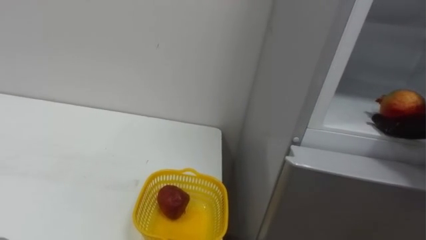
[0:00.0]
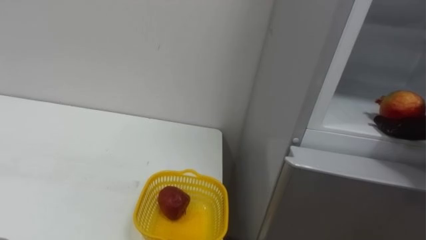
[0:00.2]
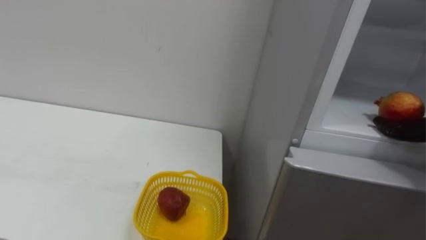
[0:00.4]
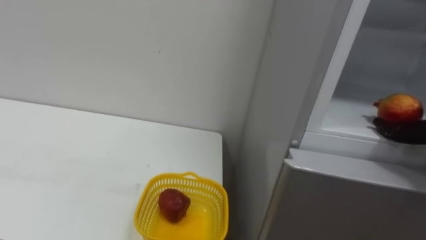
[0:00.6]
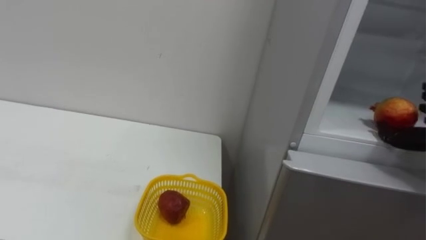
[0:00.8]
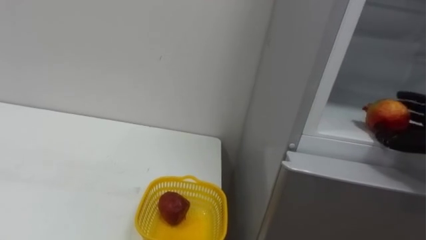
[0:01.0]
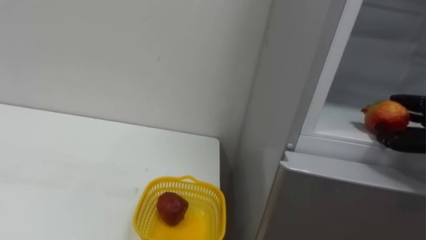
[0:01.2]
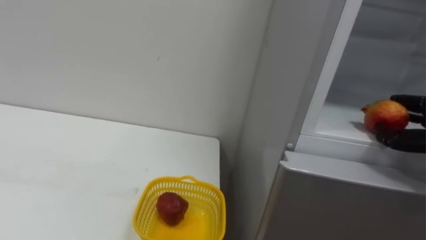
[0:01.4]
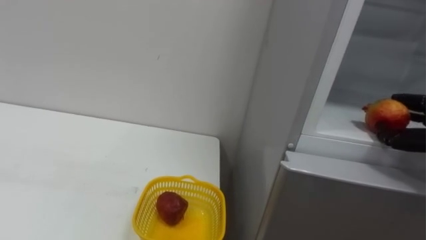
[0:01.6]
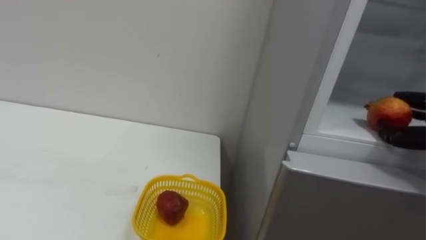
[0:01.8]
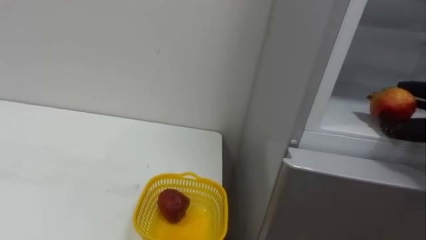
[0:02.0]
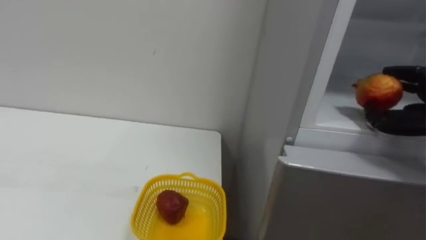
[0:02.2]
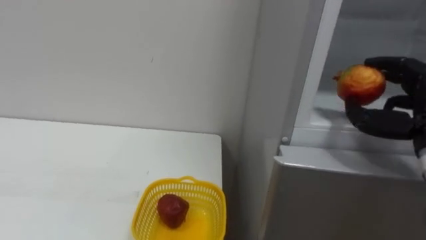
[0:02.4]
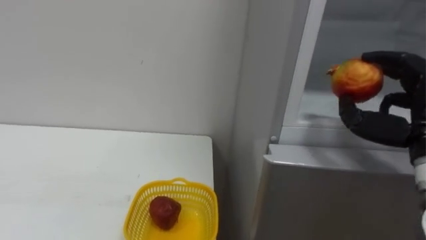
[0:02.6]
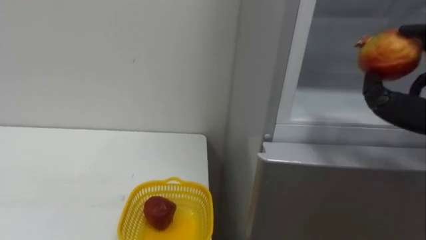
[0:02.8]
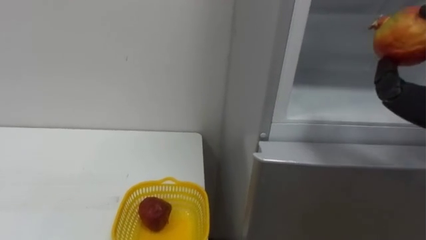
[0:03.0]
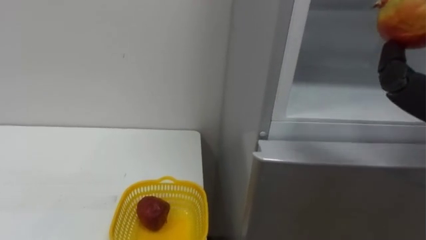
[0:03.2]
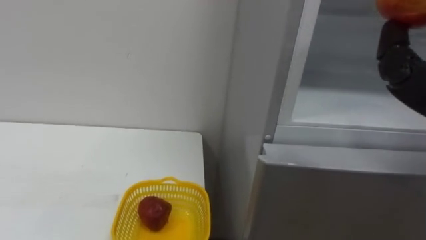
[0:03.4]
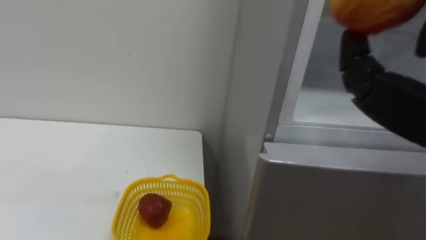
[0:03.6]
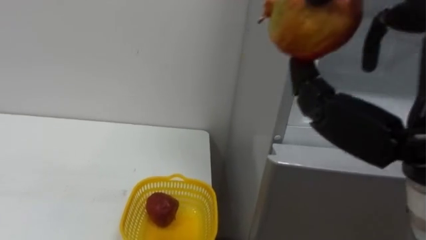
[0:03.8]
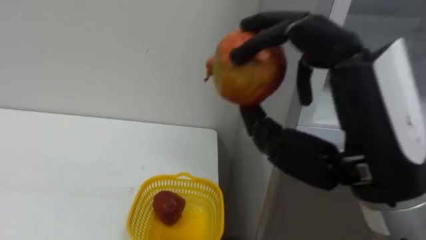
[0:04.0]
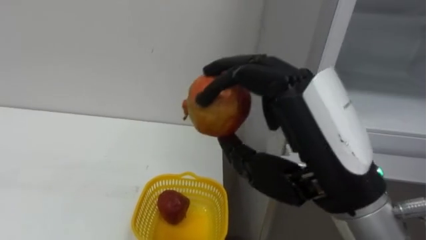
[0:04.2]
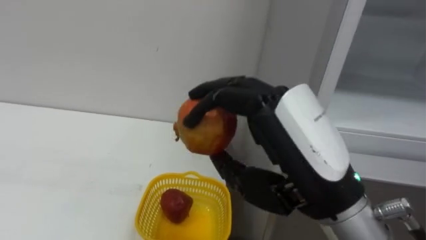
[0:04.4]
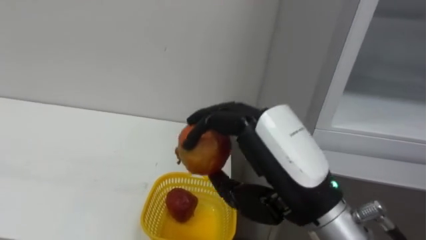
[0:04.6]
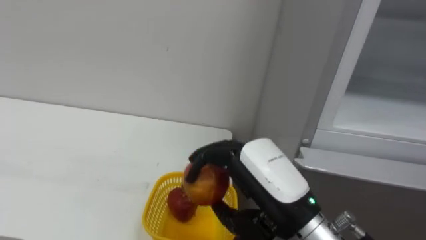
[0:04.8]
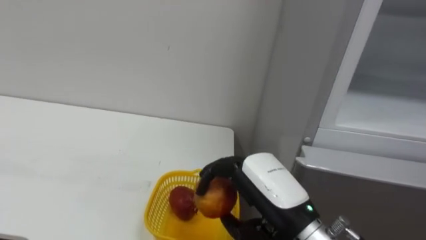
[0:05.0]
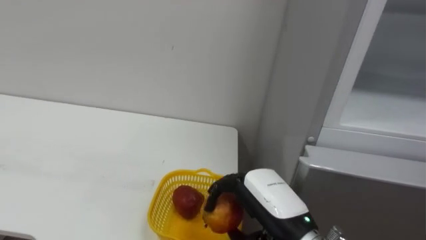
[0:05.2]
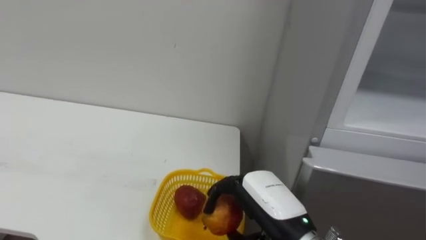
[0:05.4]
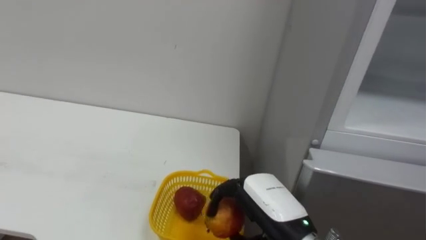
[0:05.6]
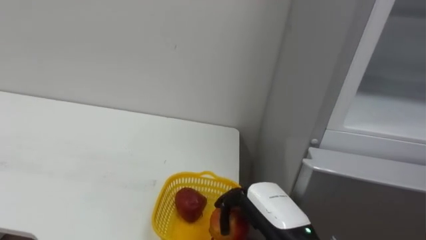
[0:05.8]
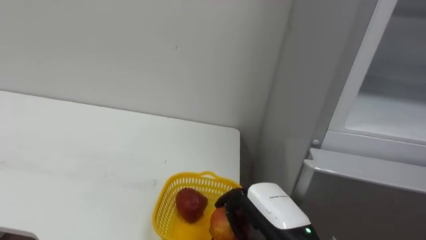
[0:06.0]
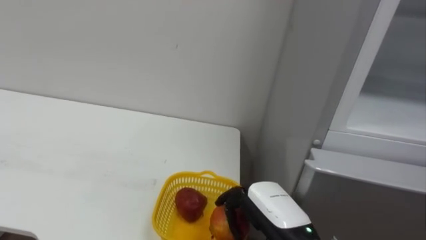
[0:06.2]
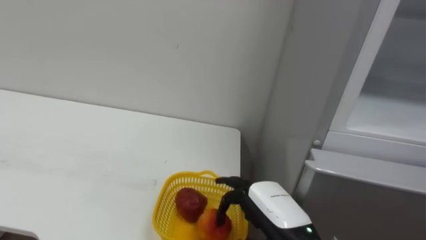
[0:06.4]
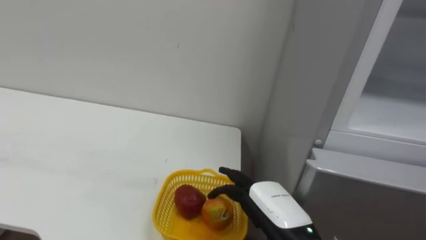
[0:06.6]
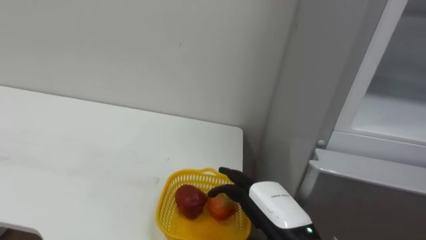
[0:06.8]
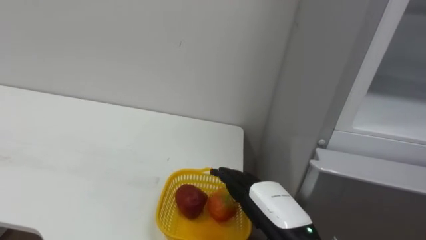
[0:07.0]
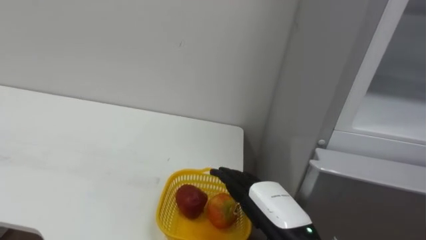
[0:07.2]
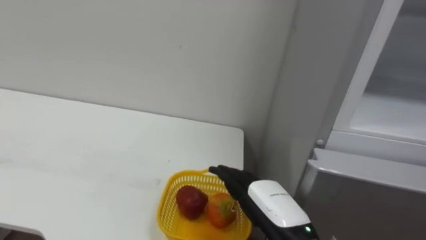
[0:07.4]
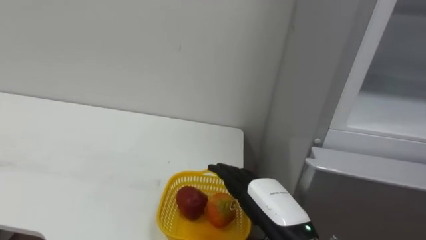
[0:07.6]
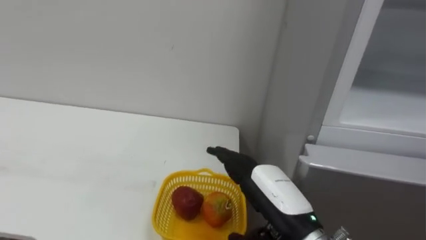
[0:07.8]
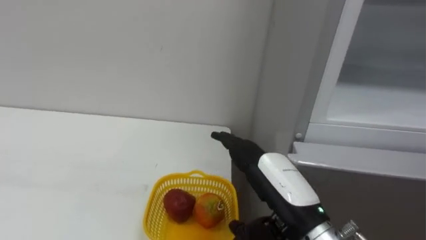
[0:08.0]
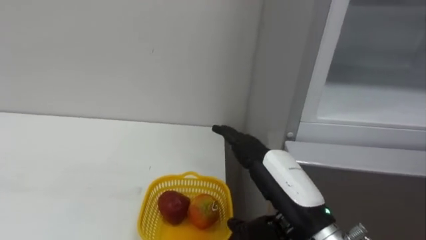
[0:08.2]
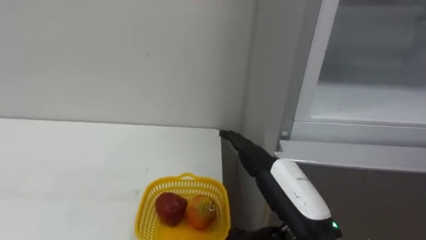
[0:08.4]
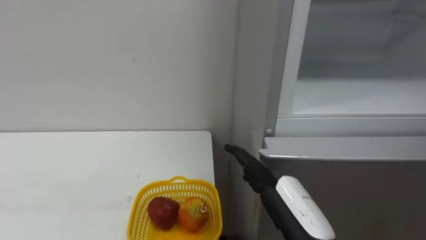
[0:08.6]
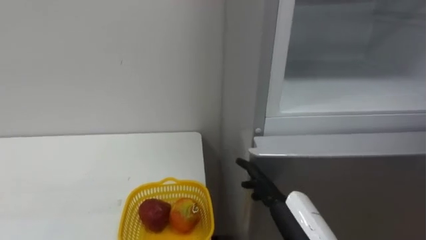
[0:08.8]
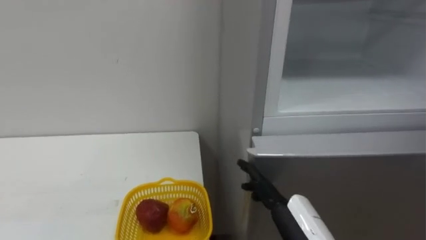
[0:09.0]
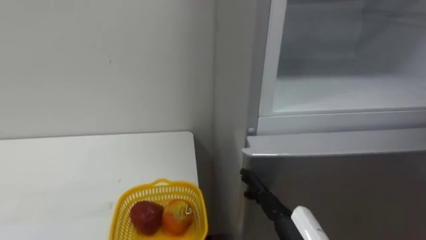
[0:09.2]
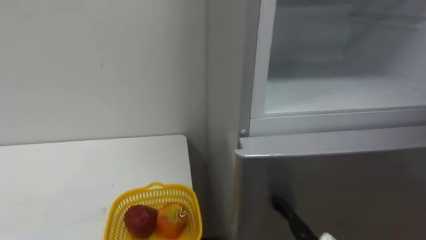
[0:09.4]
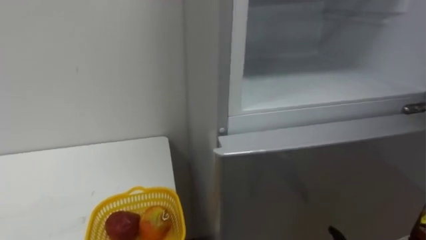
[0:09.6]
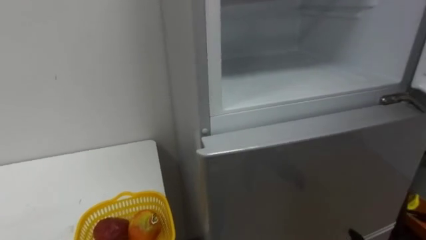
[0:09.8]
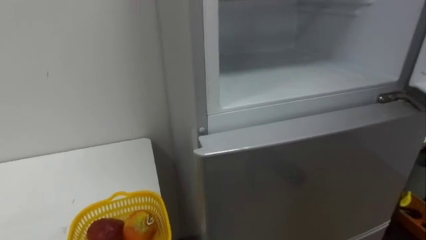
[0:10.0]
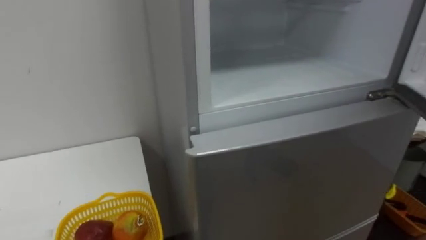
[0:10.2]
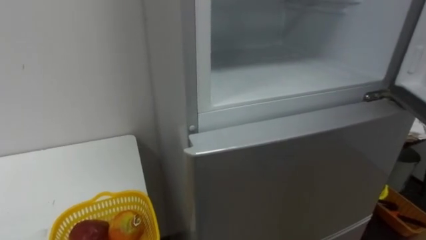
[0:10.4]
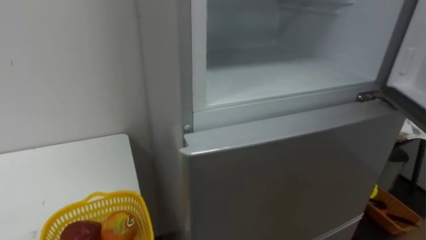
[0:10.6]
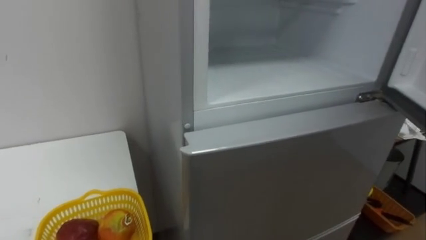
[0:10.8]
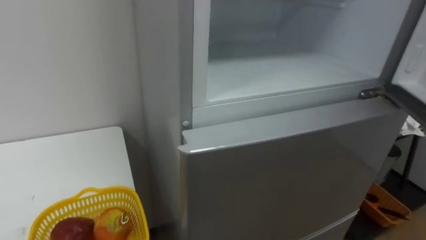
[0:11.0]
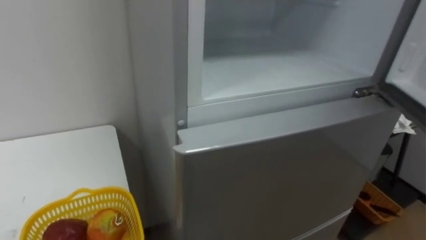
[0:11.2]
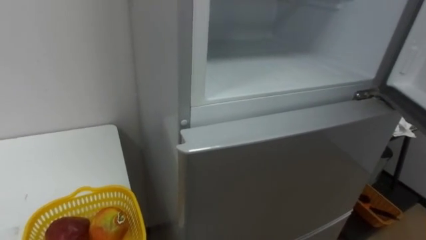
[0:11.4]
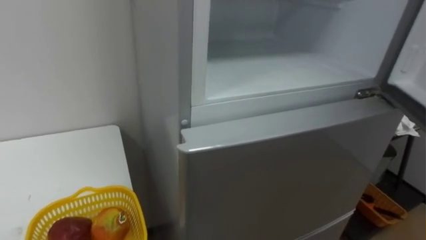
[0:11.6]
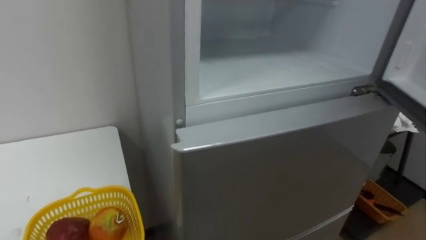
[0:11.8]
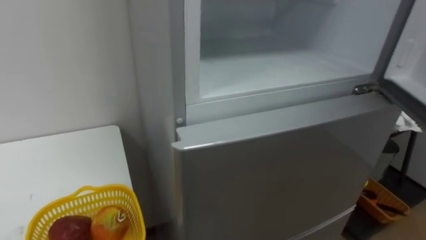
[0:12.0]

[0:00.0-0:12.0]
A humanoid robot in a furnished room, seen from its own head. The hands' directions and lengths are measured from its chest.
Task of the whole recording: Open the refrigerator door, take out the apple and the pomegranate, place them in the fruit basket on the left, and close the refrigerator door.
0:04.4 to 0:06.0: The right hand heads downward, covering some 20 cm.
0:06.0 to 0:07.6: The right hand opens its fingers.
0:07.6 to 0:09.0: The right hand shifts by some 5 cm.

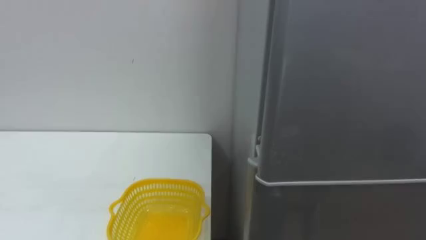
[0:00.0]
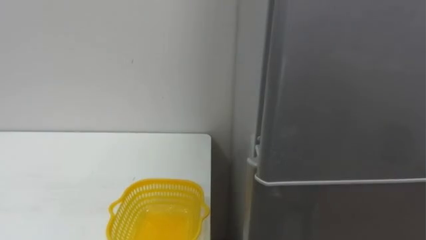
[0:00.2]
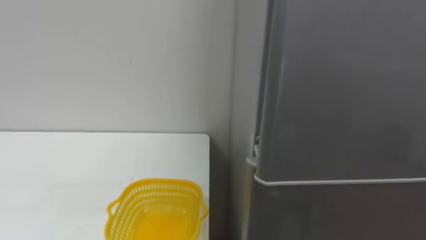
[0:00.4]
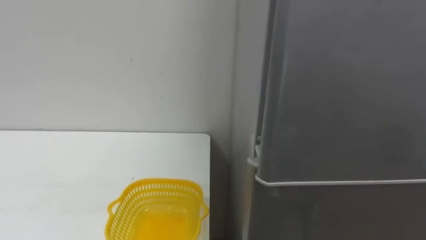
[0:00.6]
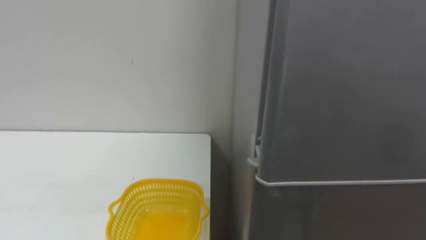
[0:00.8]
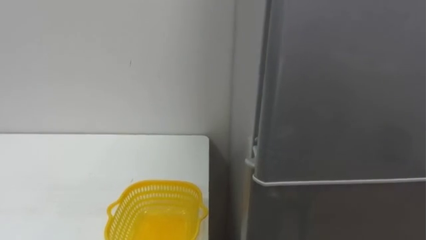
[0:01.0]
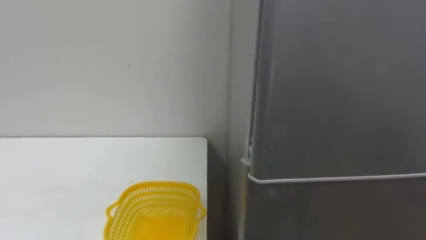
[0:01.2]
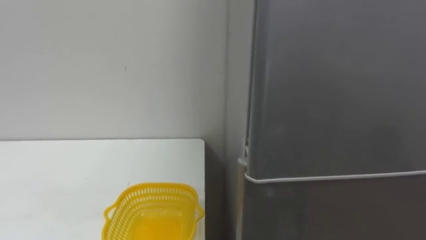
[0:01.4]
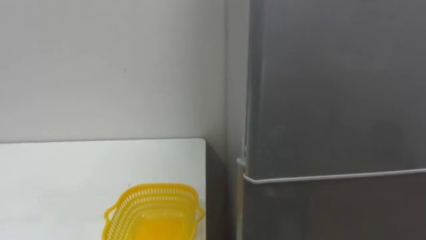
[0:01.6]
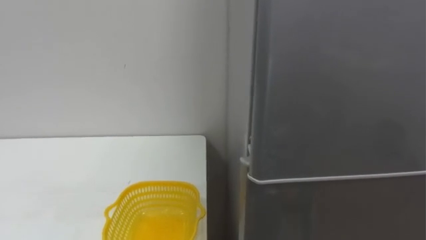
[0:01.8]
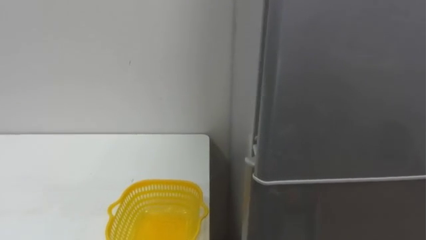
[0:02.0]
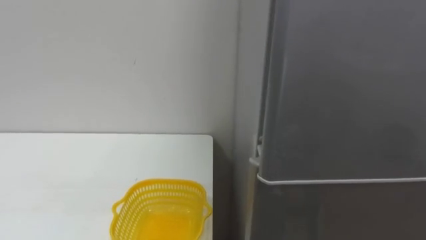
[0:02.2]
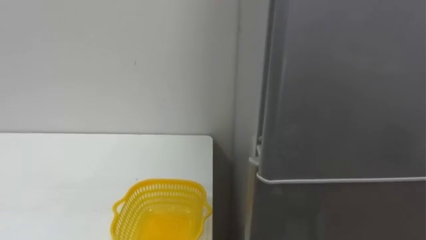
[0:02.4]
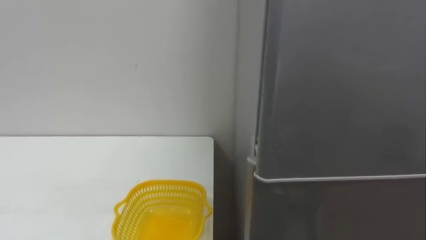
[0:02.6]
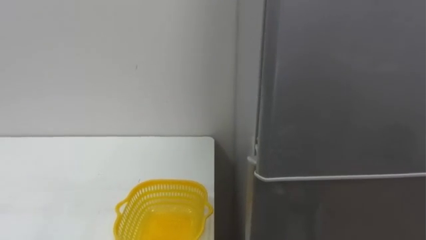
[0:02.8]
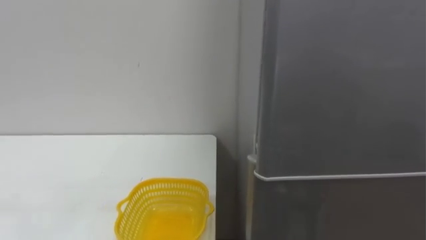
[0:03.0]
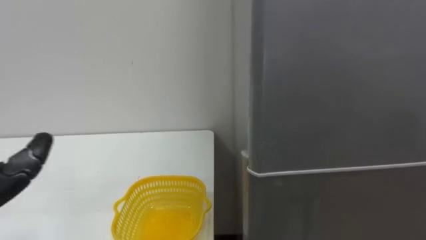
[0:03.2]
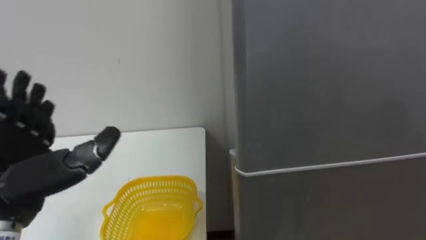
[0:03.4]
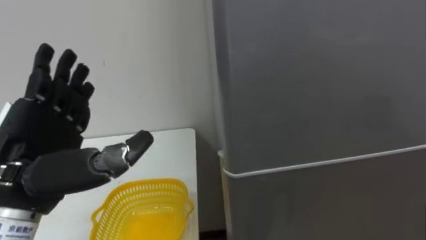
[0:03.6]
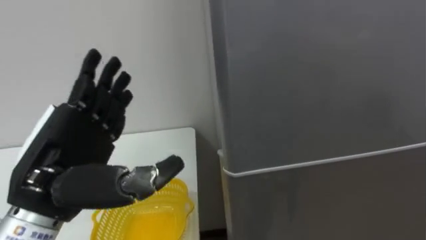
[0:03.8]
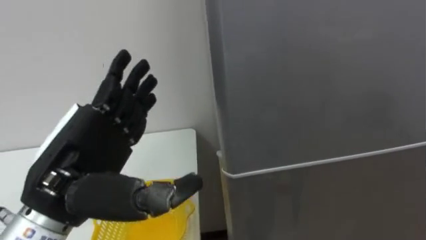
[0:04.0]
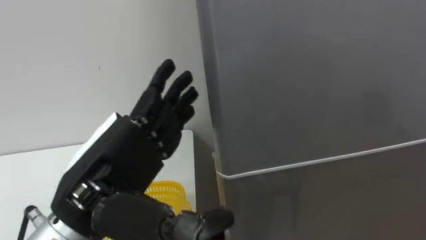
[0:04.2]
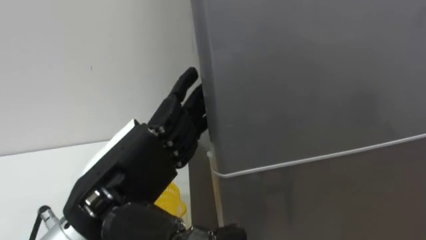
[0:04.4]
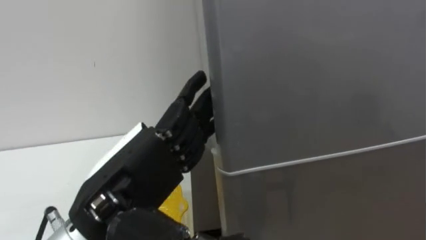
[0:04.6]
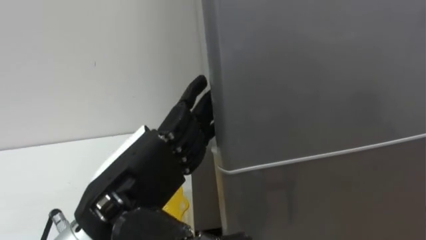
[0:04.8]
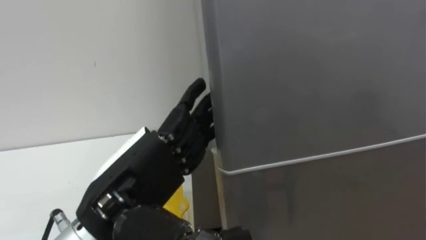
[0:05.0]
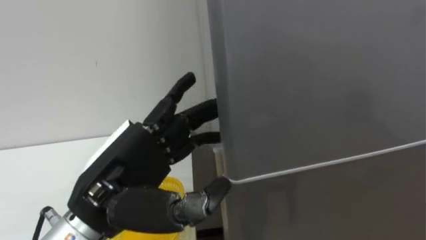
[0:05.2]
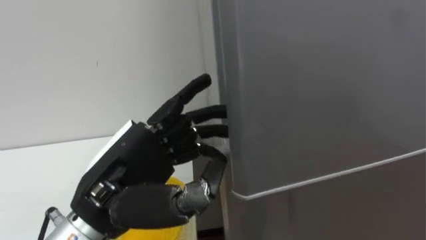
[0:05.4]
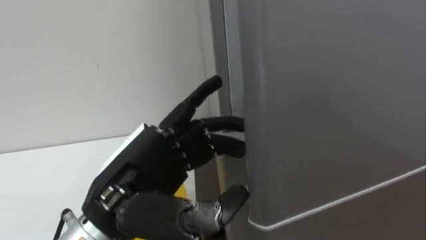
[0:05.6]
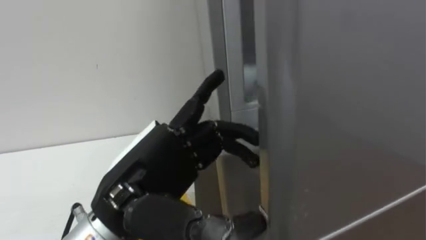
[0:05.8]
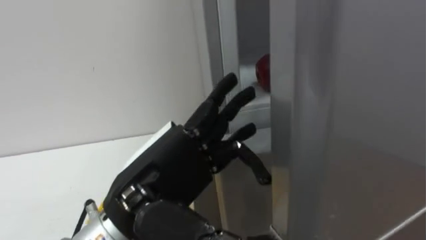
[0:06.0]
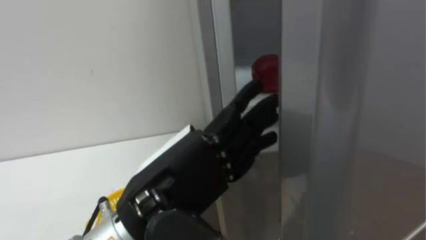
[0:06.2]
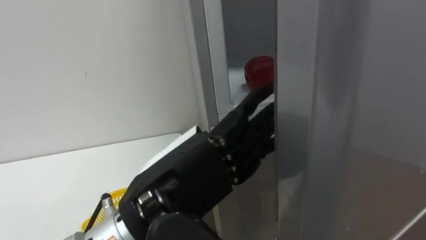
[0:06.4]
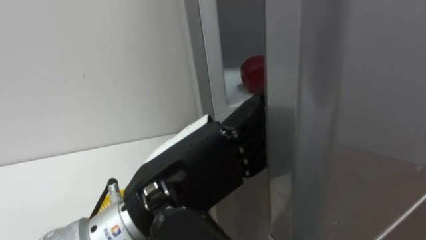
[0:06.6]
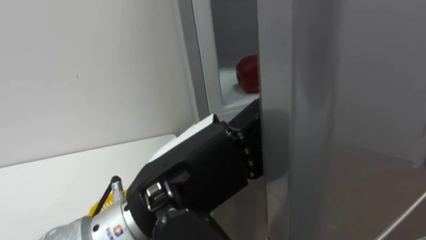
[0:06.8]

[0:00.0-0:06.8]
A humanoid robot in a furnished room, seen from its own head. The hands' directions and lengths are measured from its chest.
Task of the whole recording: Open the refrigerator door, take out the apple and the pomegranate, place them in the fruit basket on the left, and close the refrigerator door.
0:04.0 to 0:05.4: The left hand changes place by about 5 cm, and closes its fingers.
0:05.4 to 0:06.8: The left hand is displaced to the right by some 5 cm, and opens its fingers.
